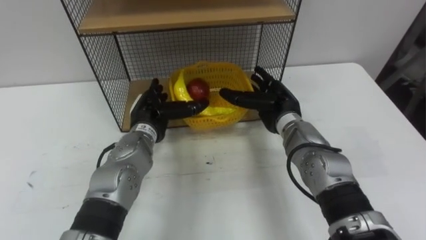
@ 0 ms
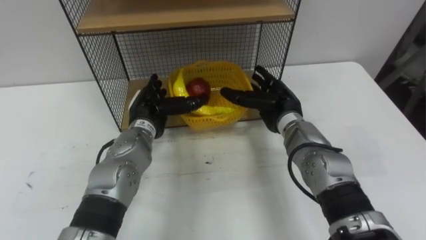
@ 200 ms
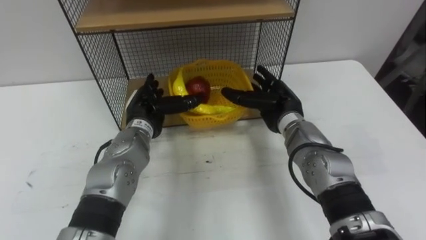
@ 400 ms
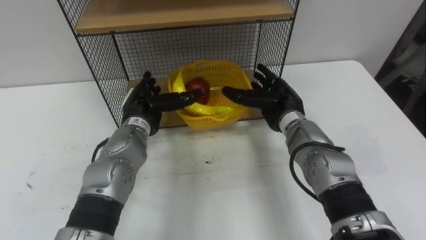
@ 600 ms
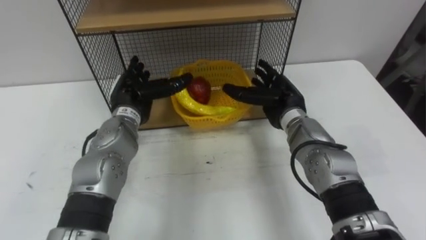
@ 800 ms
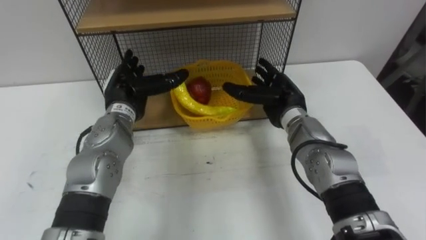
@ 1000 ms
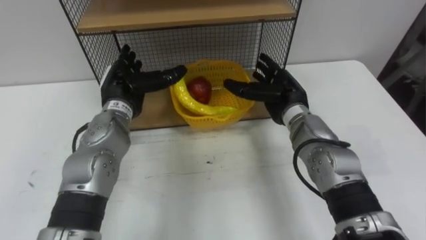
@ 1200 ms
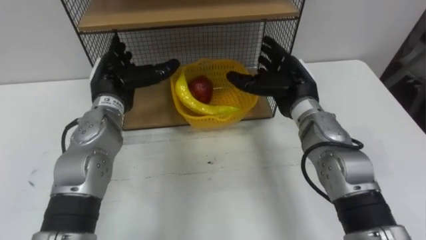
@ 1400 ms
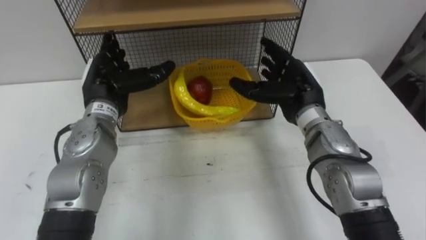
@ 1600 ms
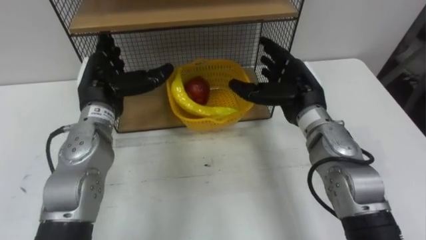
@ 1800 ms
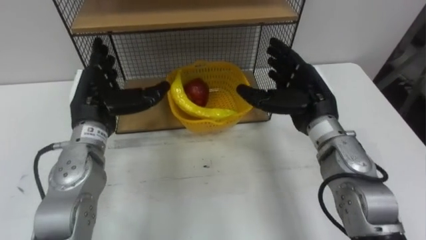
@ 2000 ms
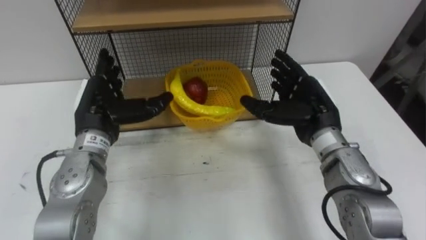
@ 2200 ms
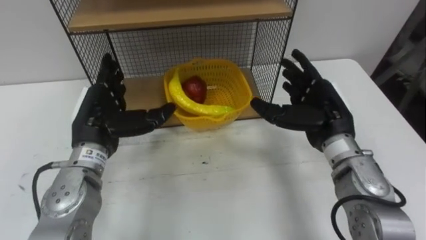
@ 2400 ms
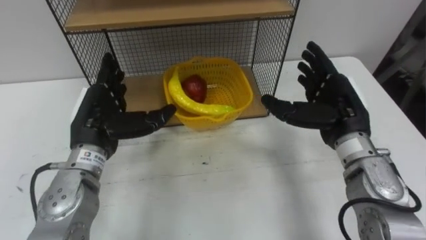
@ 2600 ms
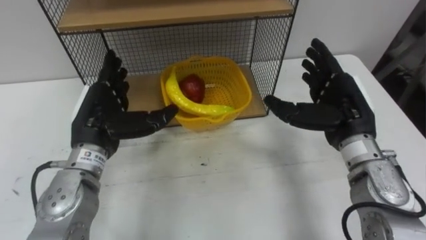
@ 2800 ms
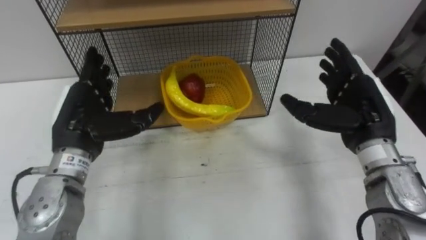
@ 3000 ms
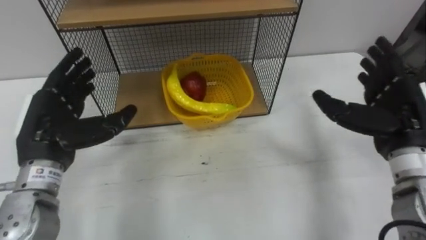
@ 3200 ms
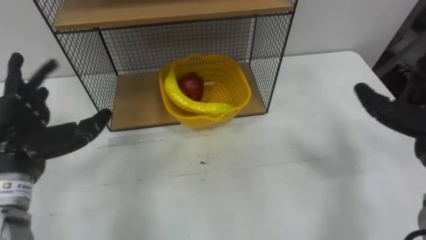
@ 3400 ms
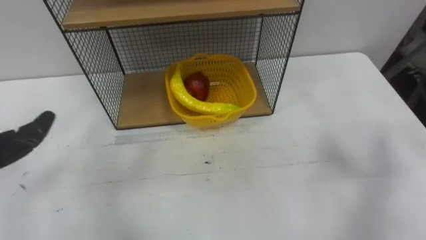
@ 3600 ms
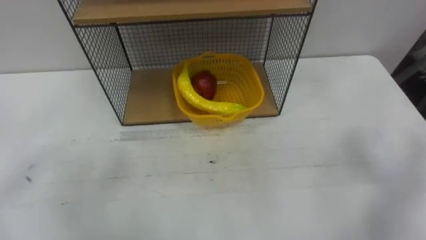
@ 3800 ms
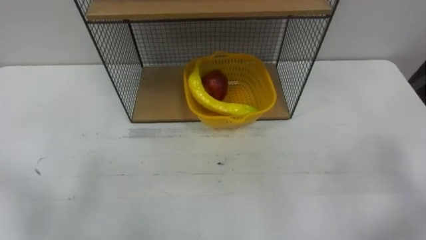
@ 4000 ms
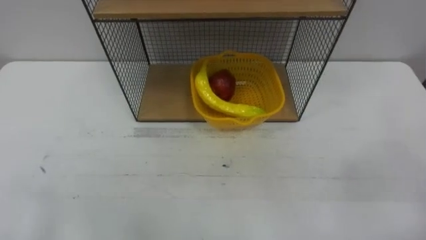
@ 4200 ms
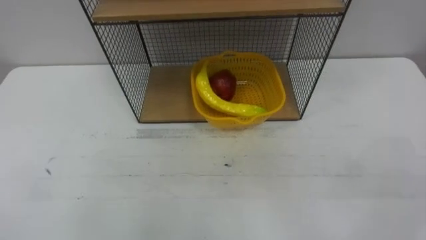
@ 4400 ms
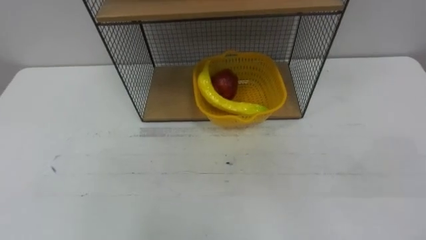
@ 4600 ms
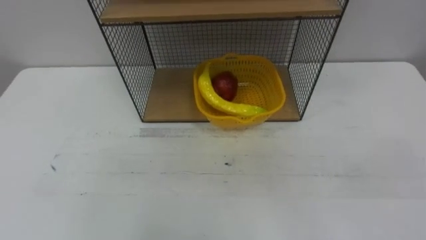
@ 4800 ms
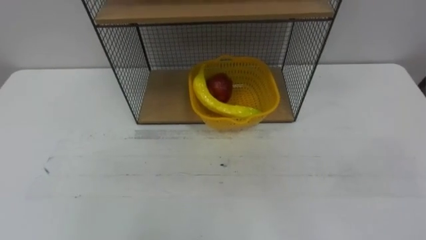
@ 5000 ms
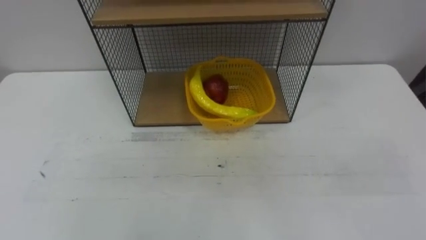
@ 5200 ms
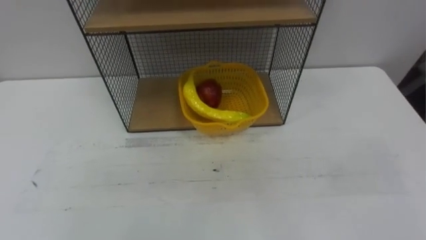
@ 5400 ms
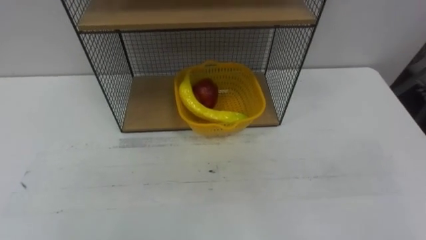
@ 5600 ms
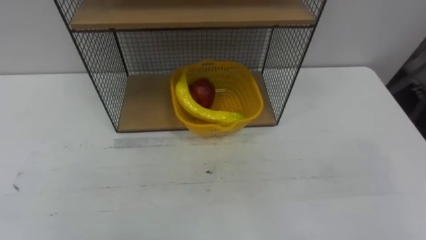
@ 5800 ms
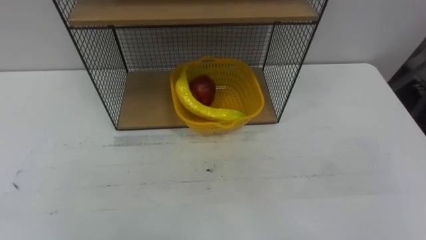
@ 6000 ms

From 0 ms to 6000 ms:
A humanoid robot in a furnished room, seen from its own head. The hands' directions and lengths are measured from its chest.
Task of the whole recording: Put the fruit on the table into the basket, then place the basket on the shelf.
From 0 ms to 1600 ms: The left hand shifts roughly 10 cm upward and to the left. The right hand shifts approximately 5 cm upward.
From 1600 ms to 3000 ms: The left hand moves backward, roughly 10 cm. The right hand heads to the right and backward, covering approximately 10 cm.

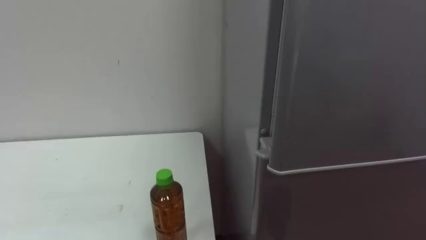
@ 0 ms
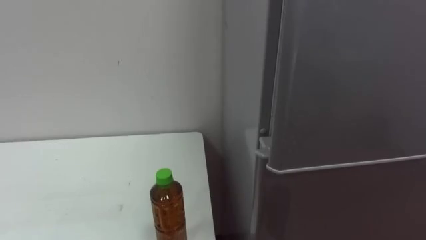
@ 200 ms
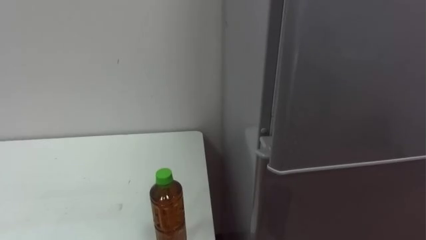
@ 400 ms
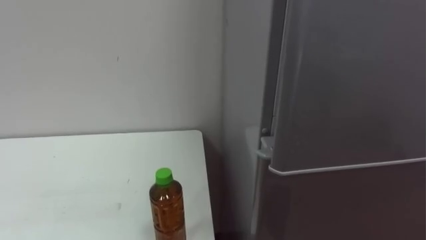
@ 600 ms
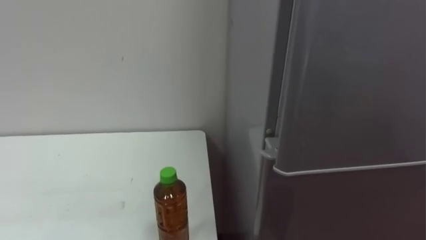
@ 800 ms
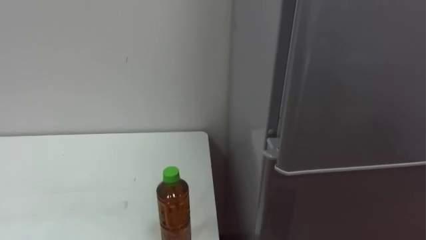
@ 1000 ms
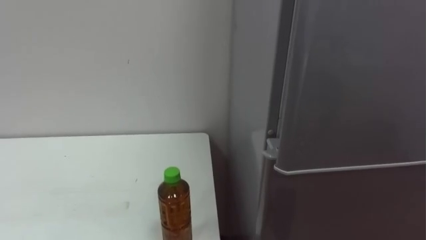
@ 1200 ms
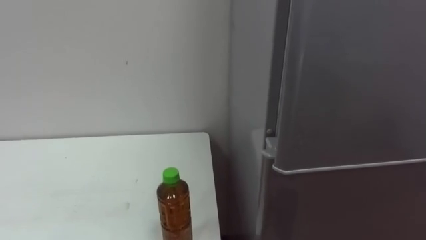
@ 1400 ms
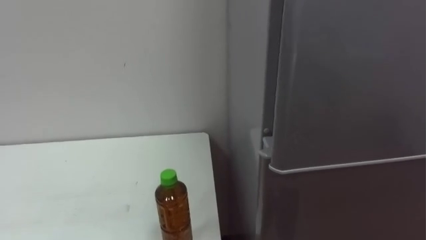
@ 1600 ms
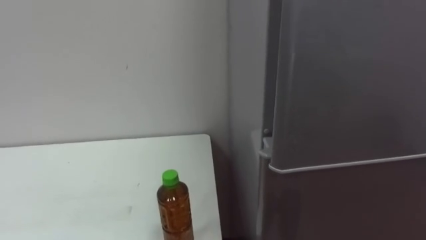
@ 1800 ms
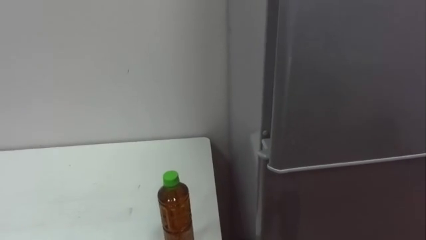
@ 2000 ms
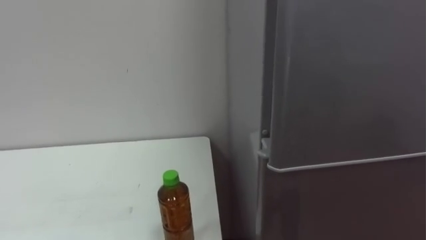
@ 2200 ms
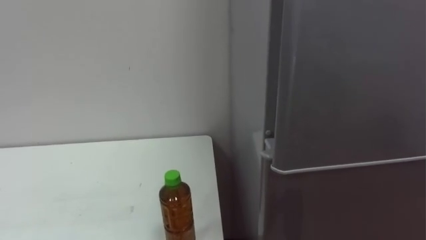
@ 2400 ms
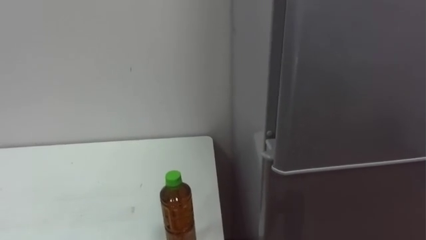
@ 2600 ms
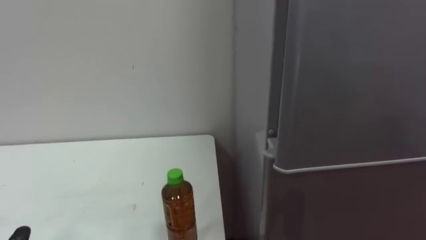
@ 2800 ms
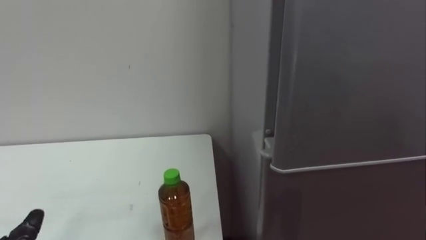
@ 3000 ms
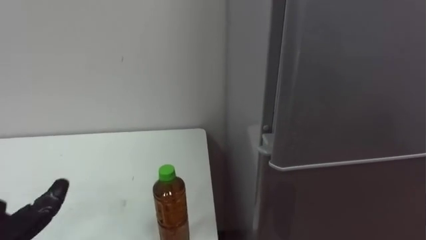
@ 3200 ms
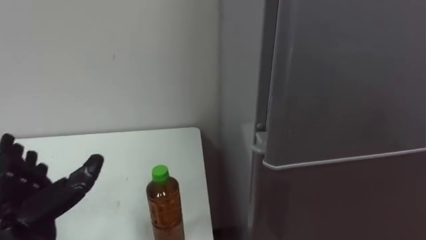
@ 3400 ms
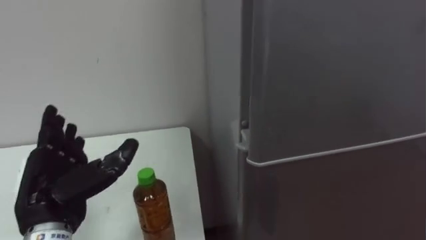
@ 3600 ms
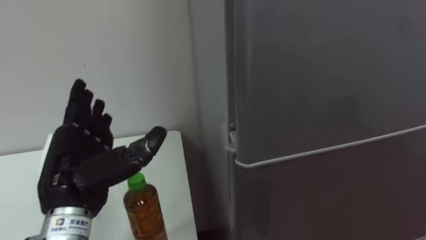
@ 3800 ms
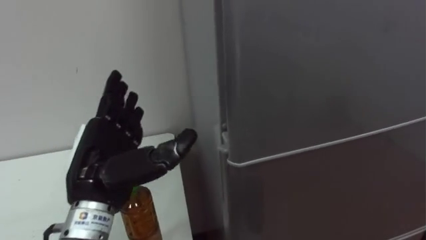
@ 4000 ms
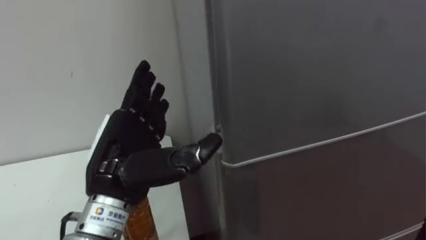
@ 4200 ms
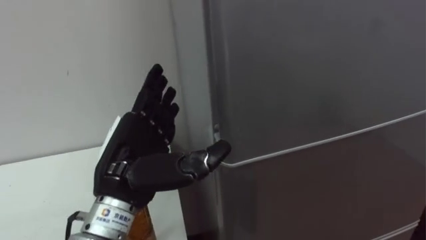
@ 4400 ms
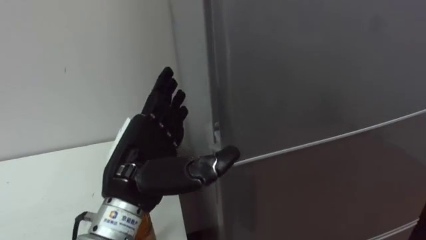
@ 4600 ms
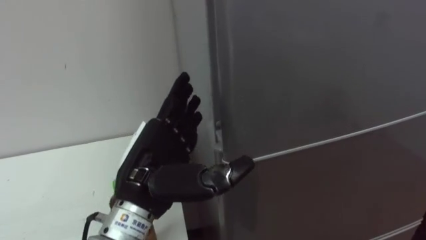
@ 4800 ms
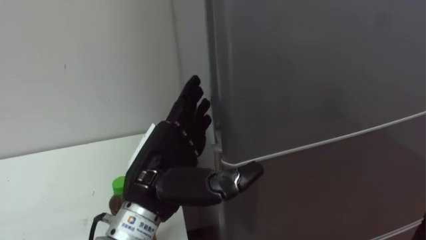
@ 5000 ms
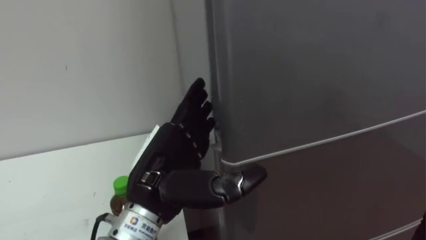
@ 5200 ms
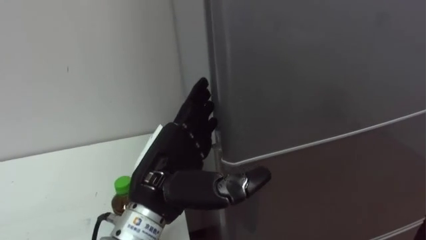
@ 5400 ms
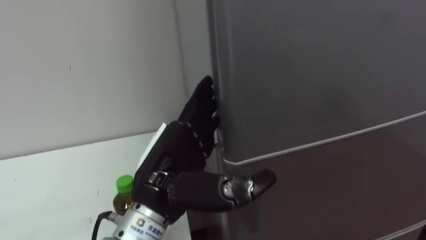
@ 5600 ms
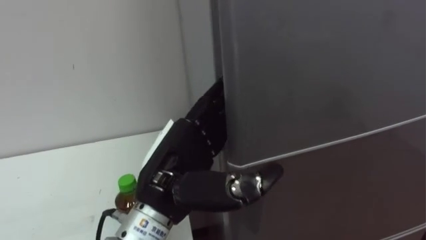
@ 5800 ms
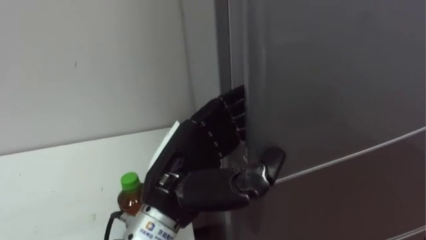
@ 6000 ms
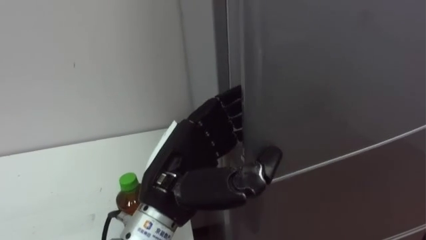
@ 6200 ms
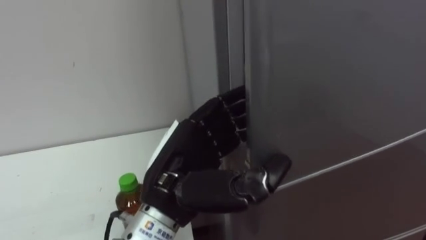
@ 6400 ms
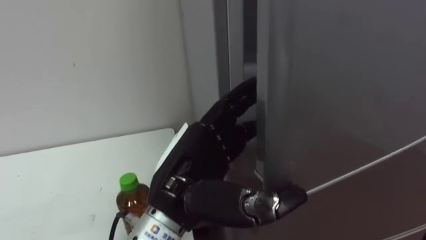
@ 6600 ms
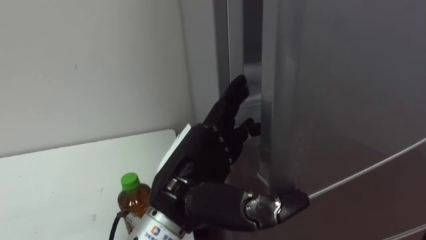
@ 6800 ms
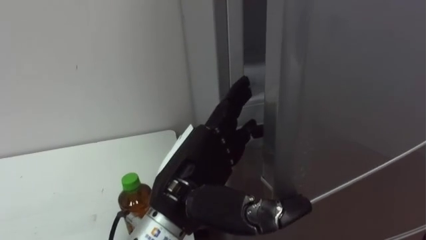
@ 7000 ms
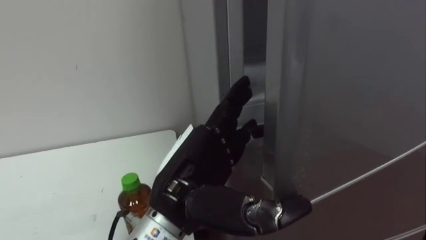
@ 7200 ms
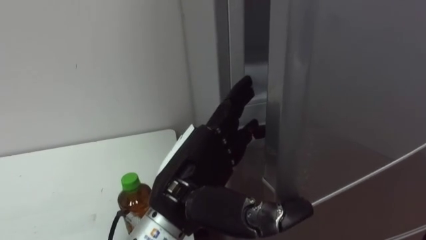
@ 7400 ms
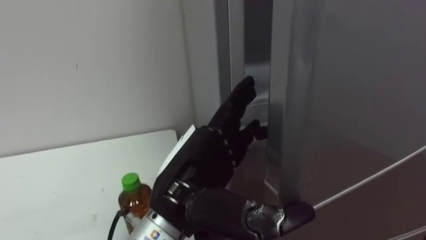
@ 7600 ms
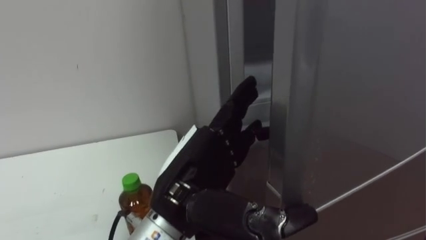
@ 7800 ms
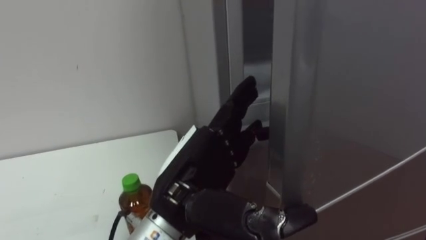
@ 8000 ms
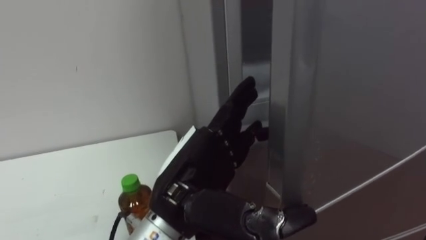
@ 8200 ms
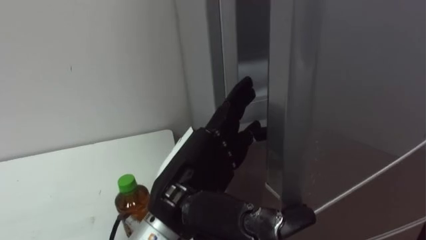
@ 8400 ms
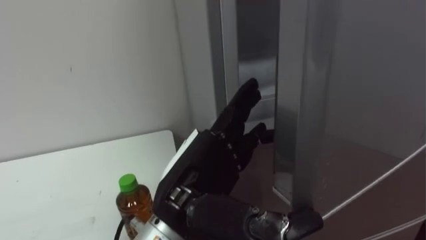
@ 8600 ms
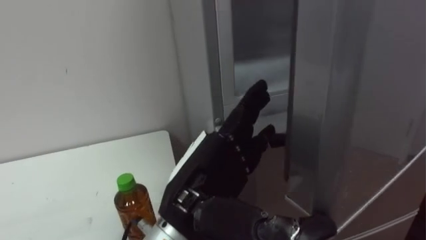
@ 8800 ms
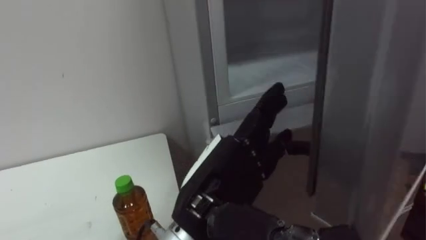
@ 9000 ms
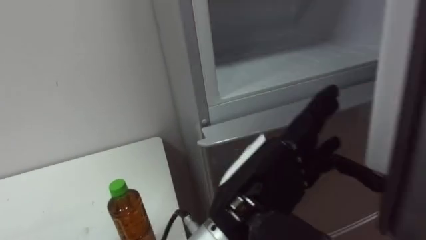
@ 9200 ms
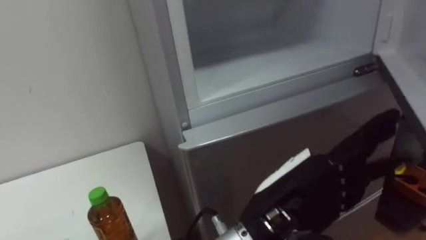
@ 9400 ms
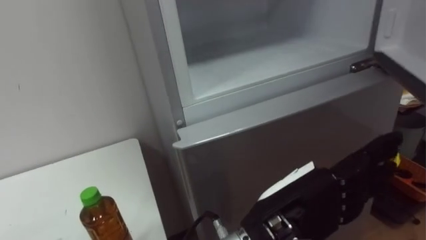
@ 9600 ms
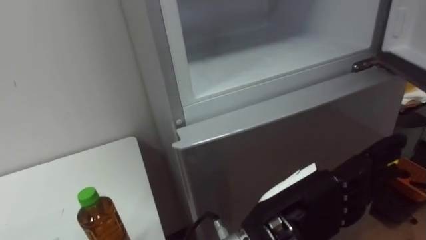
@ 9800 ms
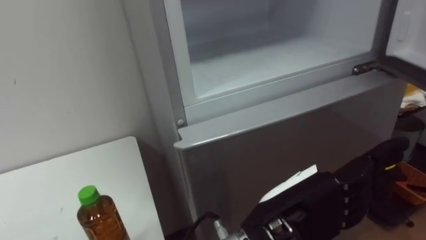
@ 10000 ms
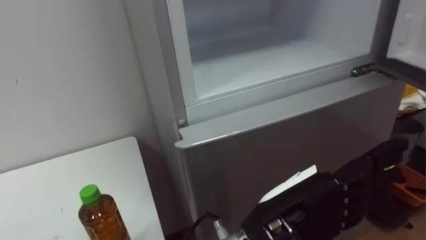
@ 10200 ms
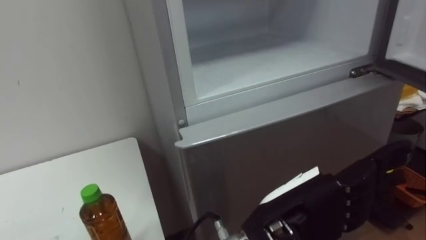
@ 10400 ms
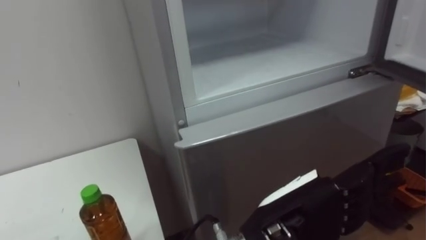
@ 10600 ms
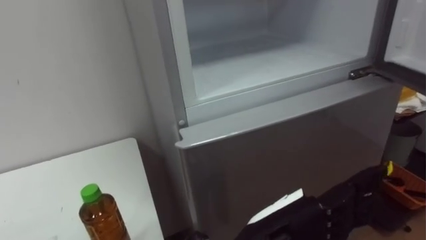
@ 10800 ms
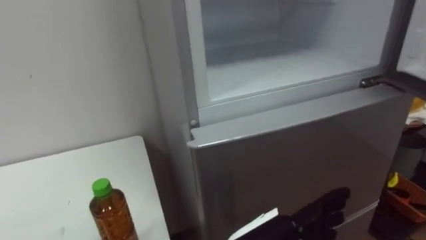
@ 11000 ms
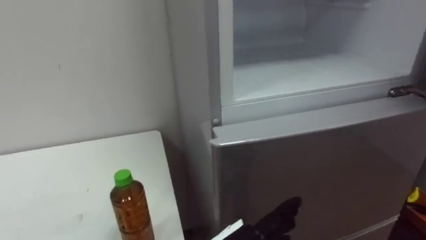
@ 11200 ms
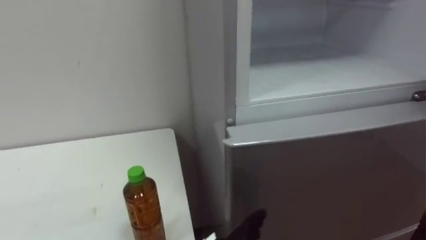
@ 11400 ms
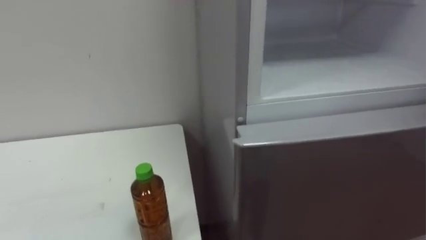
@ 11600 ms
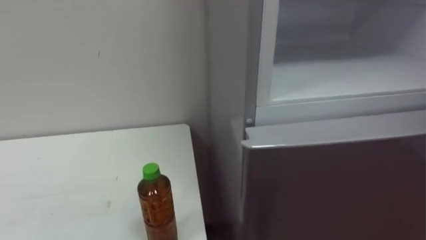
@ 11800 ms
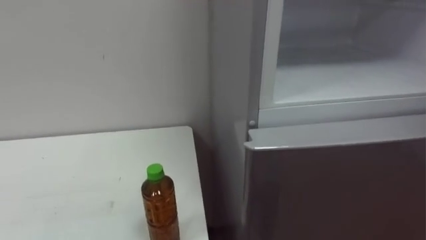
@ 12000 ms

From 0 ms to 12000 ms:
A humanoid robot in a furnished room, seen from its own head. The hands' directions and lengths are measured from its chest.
Task of the whole recording: Open the upper refrigerator door, put the drink from the table into the refrigerator, and then close the refrigerator door.
From 4400 ms to 6000 ms: The left hand travels to the right by roughly 5 cm, and closes.
From 6000 ms to 7600 ms: The left hand opens.
From 9000 ms to 10400 ms: The left hand goes roughly 10 cm to the right.
